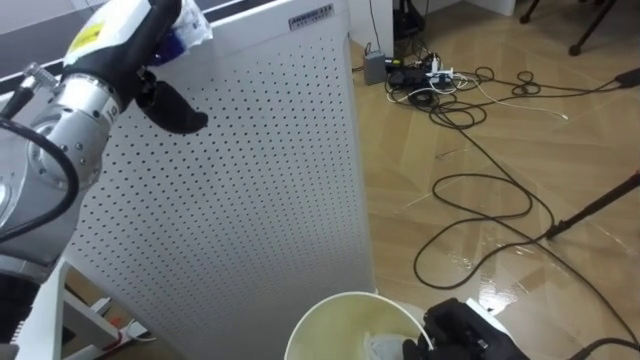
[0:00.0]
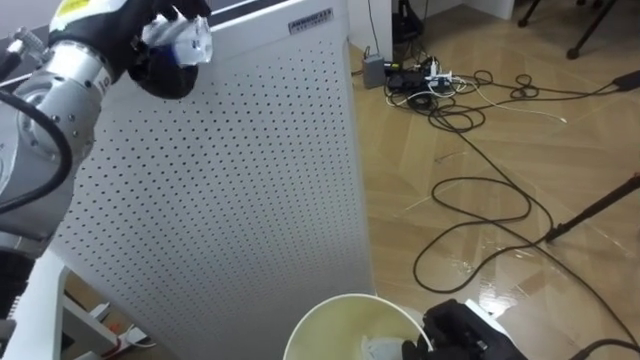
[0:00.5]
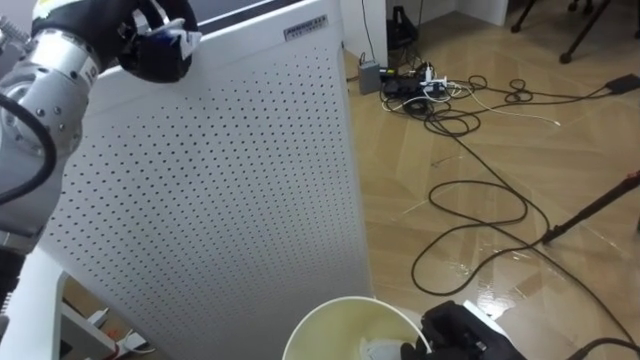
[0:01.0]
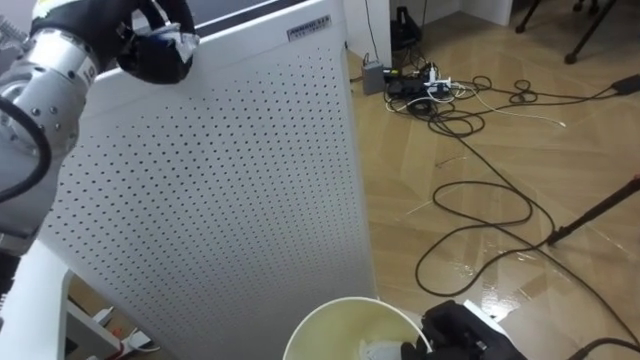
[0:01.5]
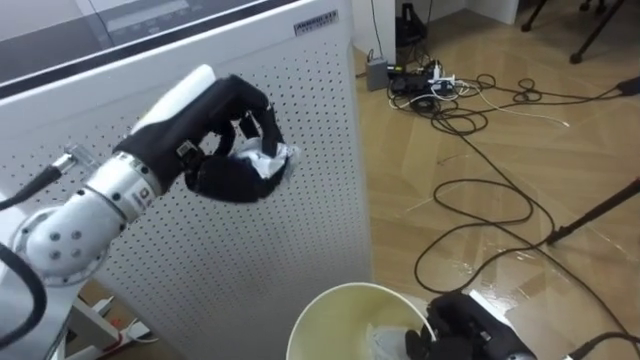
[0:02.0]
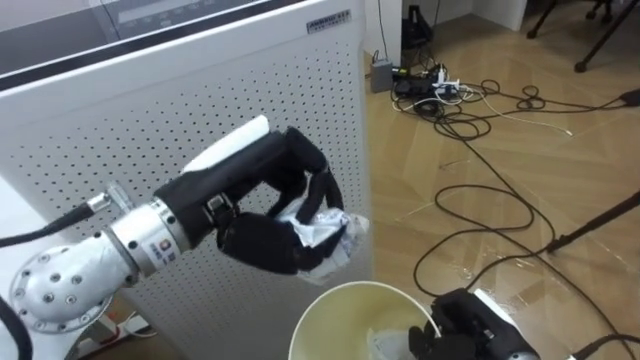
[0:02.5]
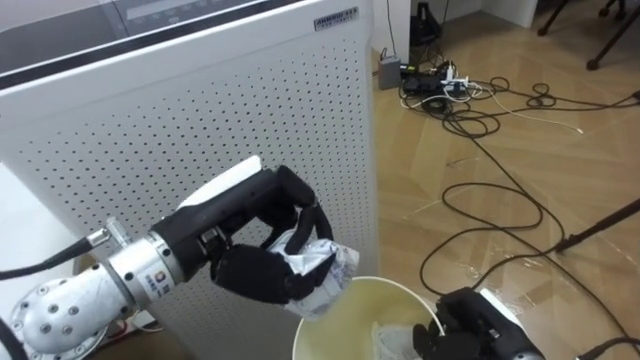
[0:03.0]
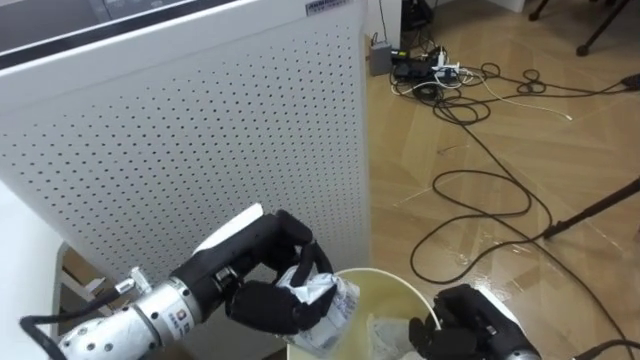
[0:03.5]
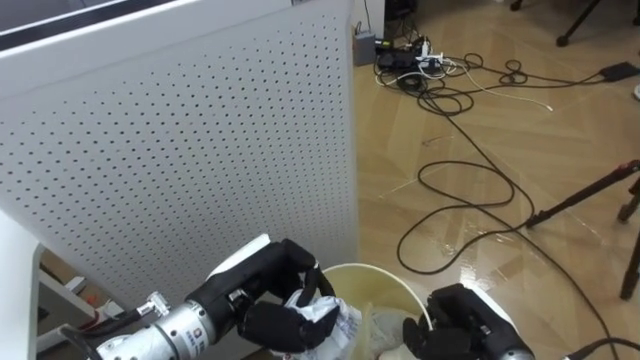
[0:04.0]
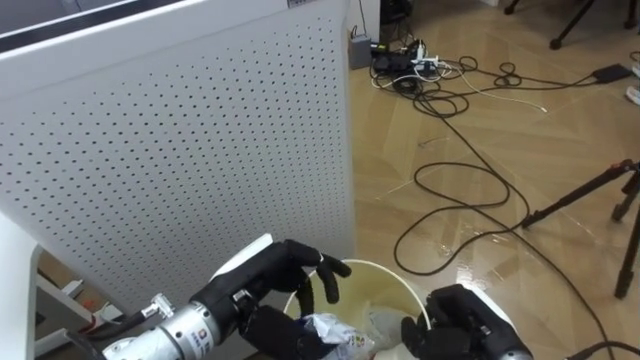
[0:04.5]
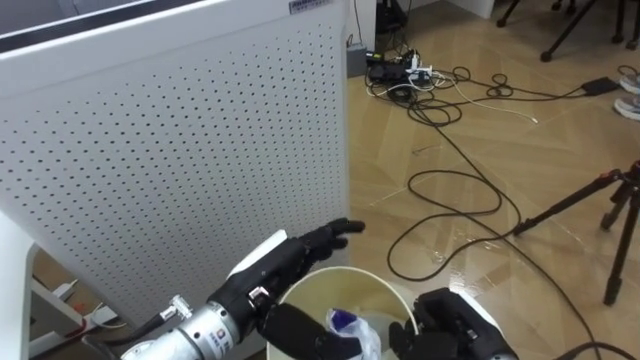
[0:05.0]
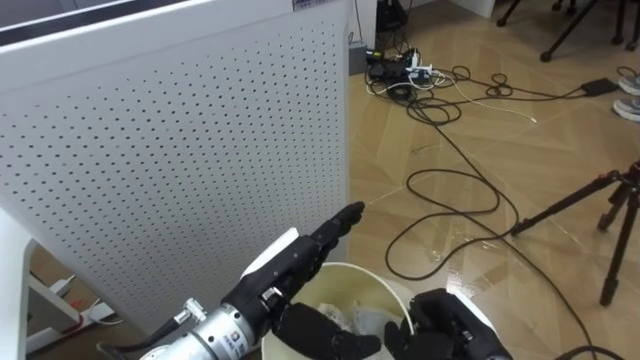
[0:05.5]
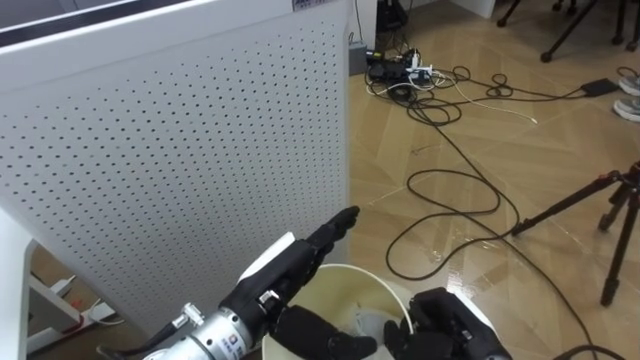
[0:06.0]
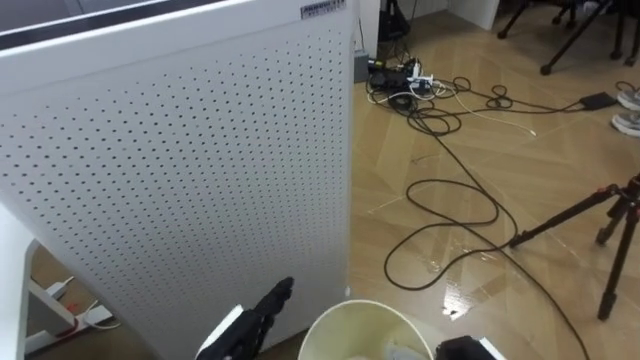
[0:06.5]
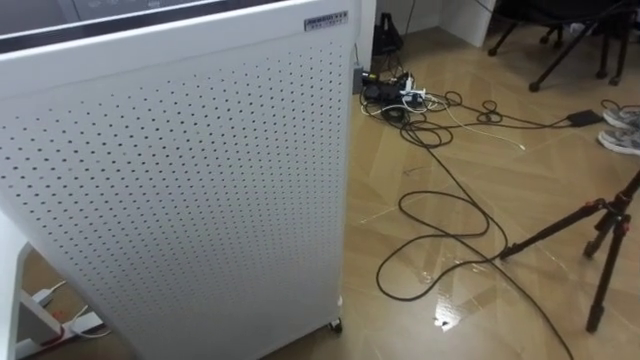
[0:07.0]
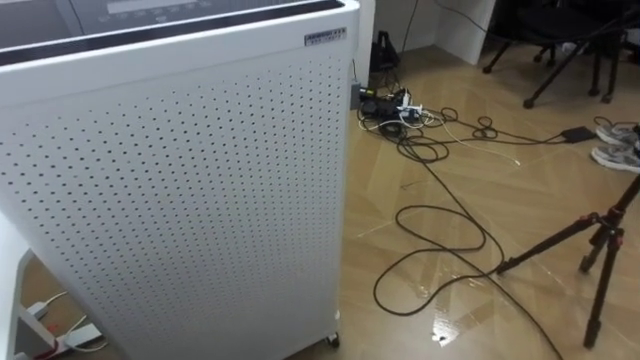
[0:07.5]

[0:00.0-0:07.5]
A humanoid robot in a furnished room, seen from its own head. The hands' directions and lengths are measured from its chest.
Task of the whole recording: Pick up the light blue package, the candy box, and the dark blue package separately, and put them into the trash can held in your right hand.
0:02.0 to 0:04.0: The left hand moves downward, approximately 15 cm.
0:04.0 to 0:05.5: The left hand opens up.

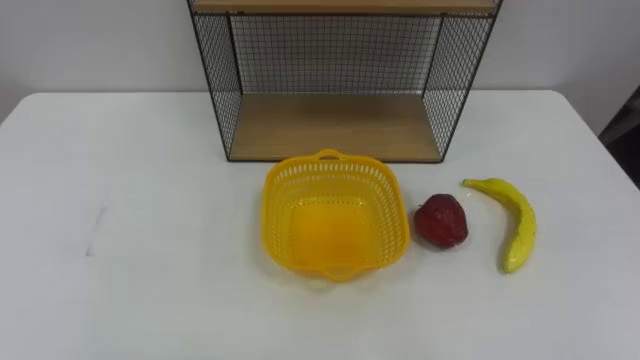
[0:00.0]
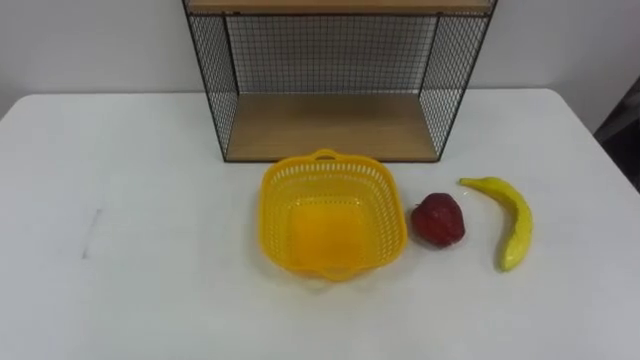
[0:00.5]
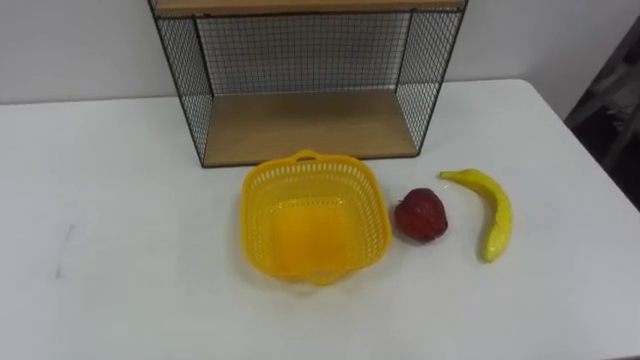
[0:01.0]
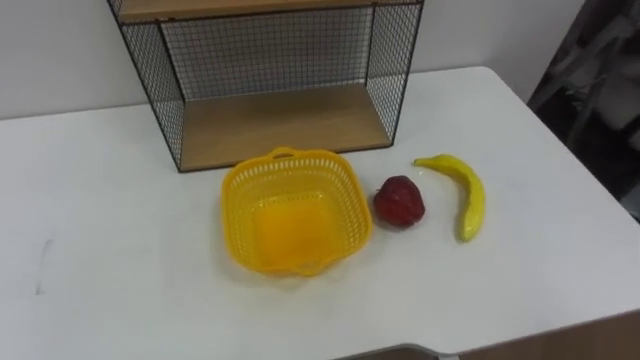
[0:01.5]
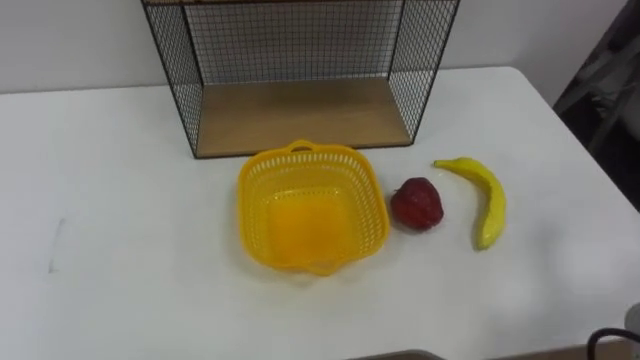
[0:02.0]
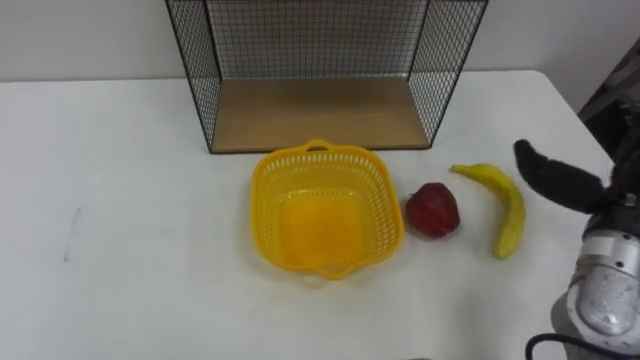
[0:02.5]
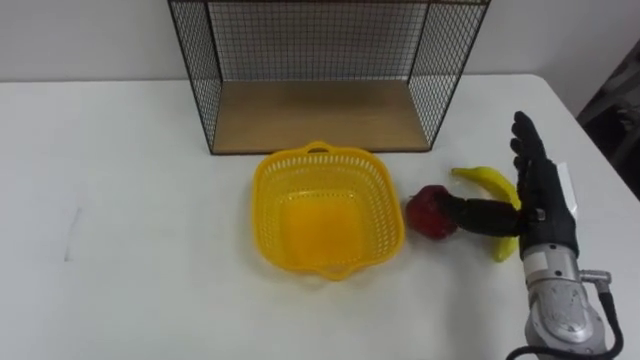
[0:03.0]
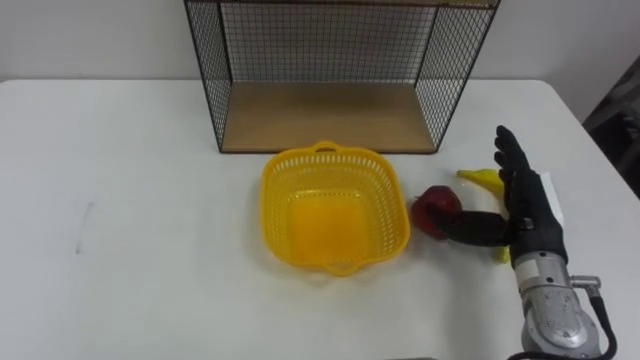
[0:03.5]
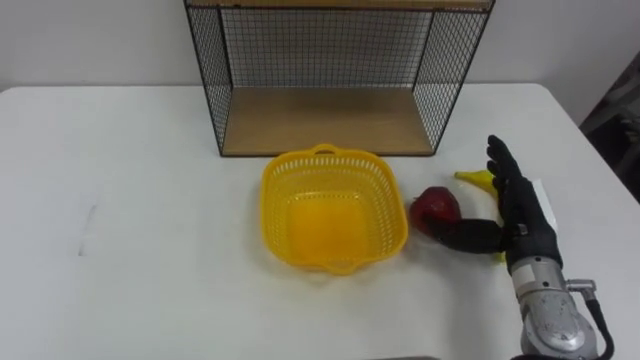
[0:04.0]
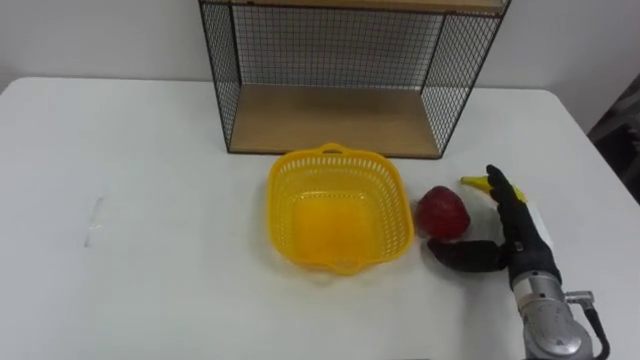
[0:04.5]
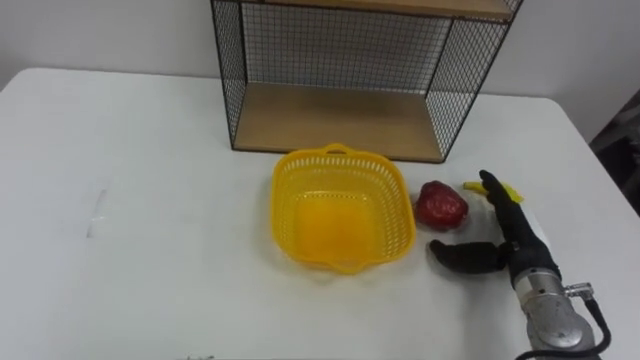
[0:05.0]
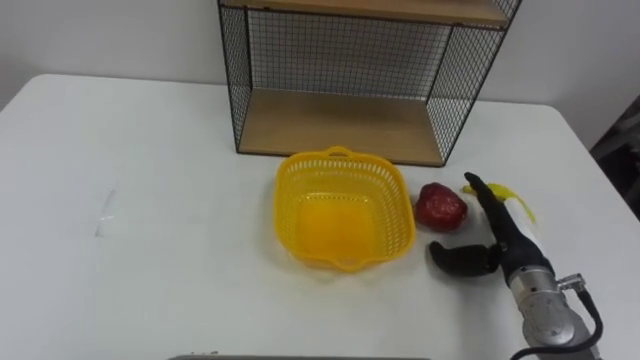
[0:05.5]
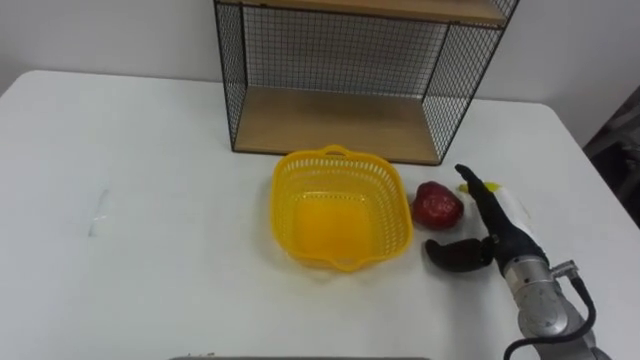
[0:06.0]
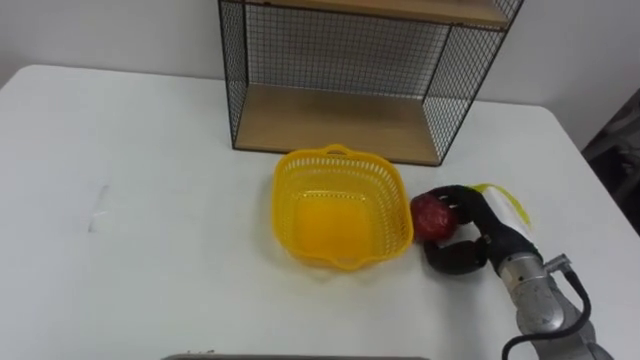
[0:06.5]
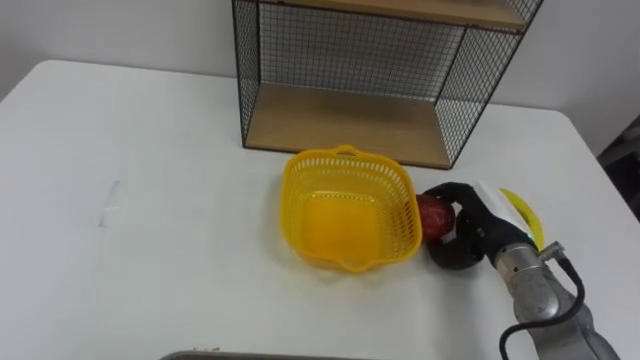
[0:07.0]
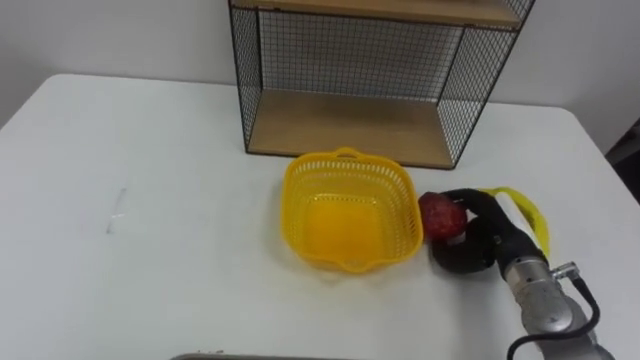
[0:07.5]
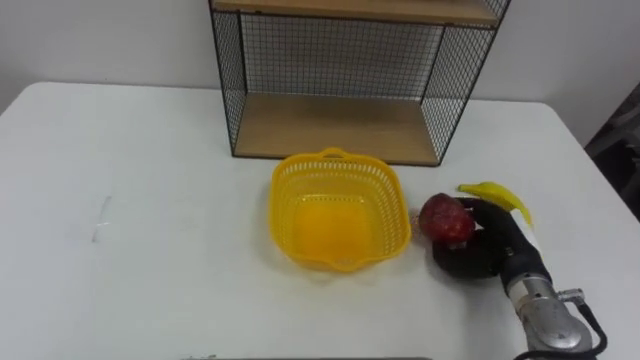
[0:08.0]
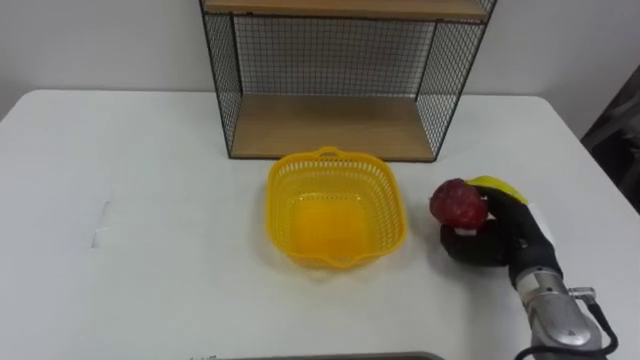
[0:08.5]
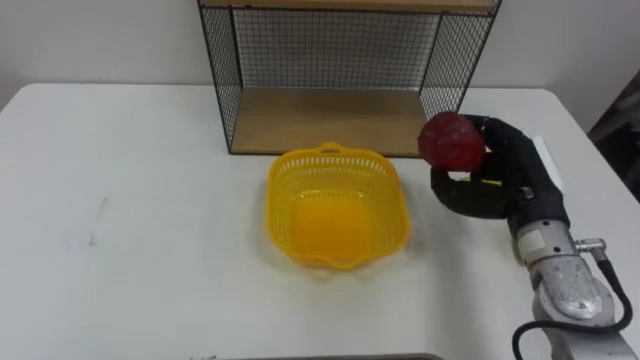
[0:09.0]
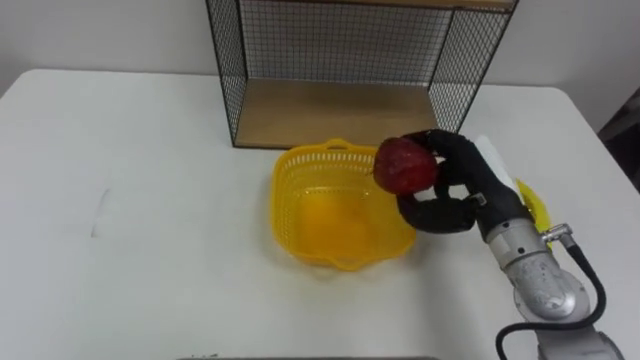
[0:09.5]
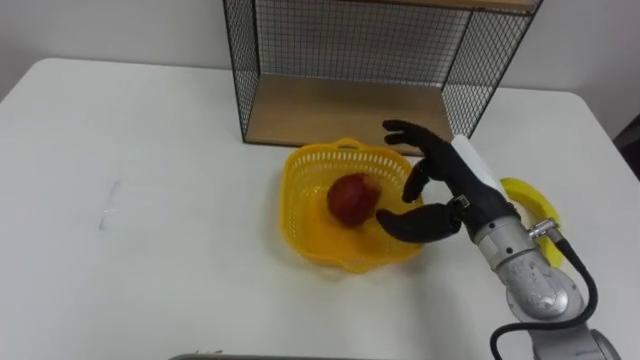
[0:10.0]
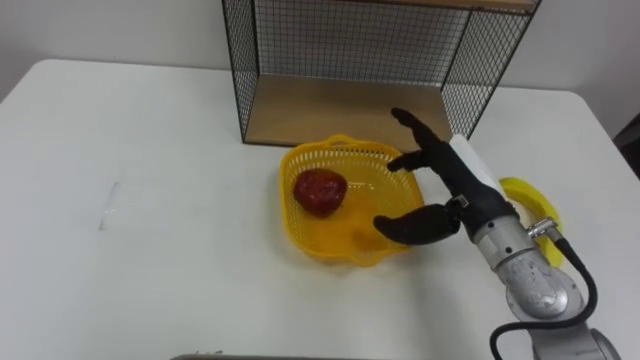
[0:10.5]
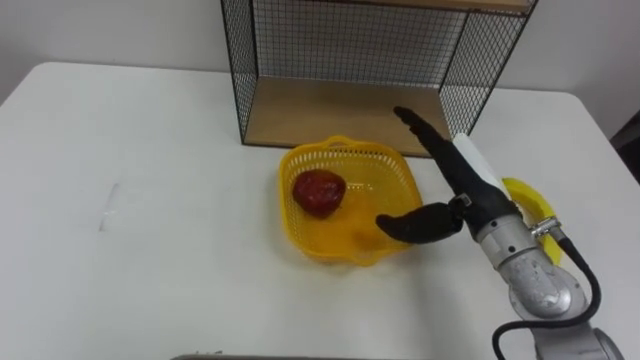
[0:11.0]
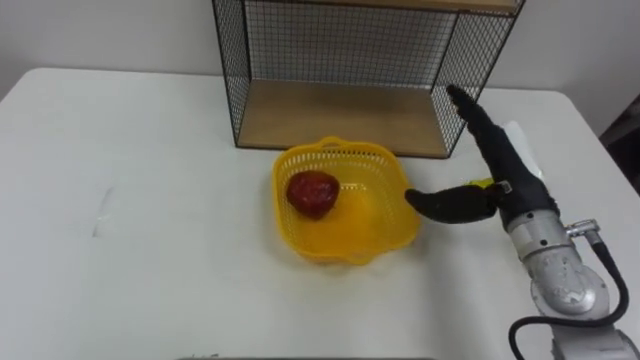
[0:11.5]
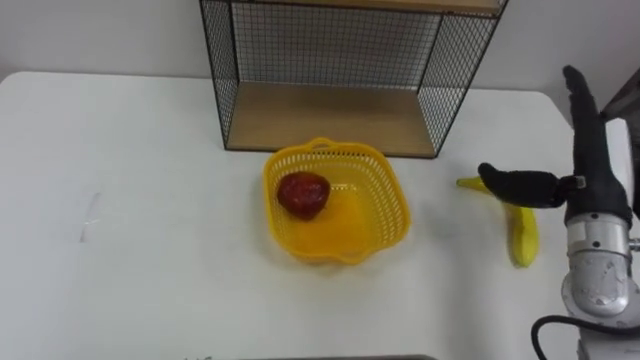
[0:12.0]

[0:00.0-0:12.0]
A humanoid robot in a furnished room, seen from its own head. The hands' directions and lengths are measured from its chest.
Task of the whole recording: Put the fruit on the table into the basket, then place the basket on the shelf.
0:06.0 to 0:08.0: The right hand closes its fingers.
0:08.0 to 0:10.0: The right hand is displaced upward and to the left by roughly 15 cm.
0:10.0 to 0:12.0: The right hand is displaced to the right by roughly 10 cm, and opens up.
